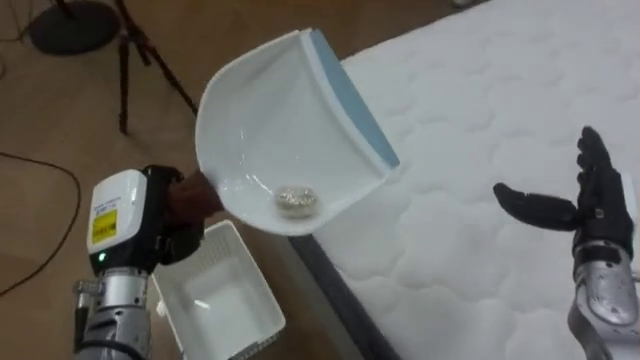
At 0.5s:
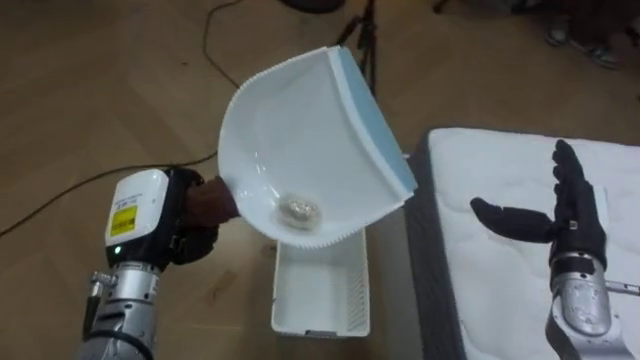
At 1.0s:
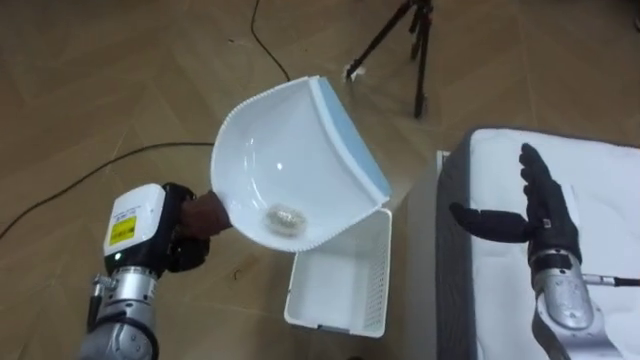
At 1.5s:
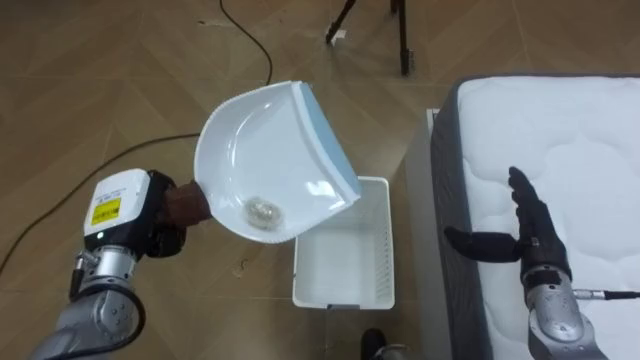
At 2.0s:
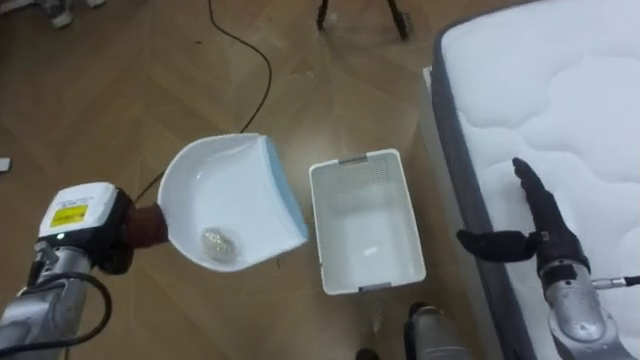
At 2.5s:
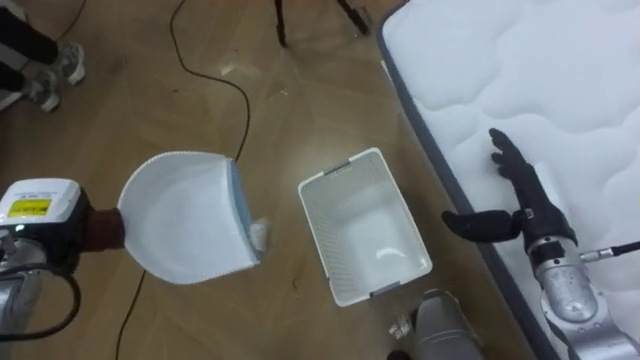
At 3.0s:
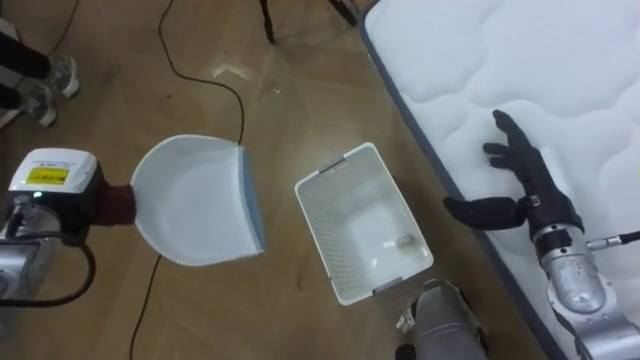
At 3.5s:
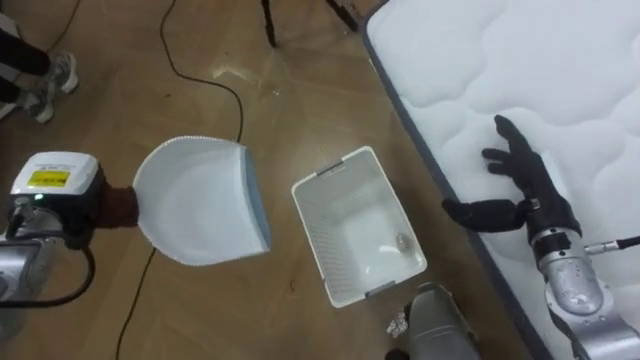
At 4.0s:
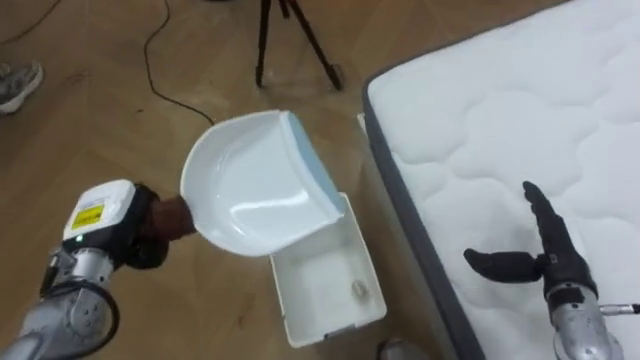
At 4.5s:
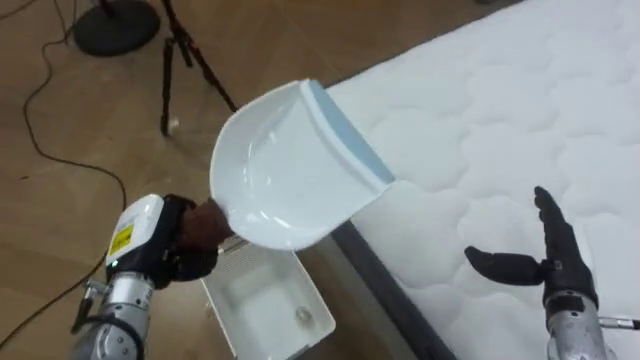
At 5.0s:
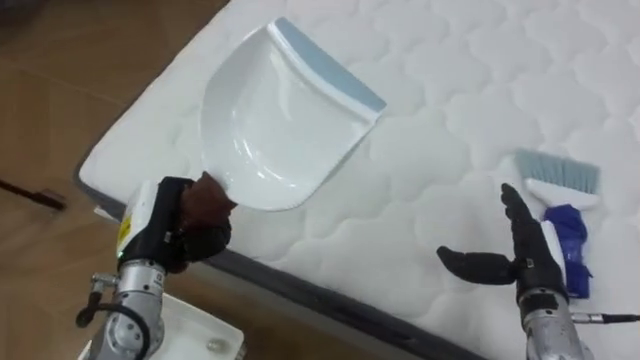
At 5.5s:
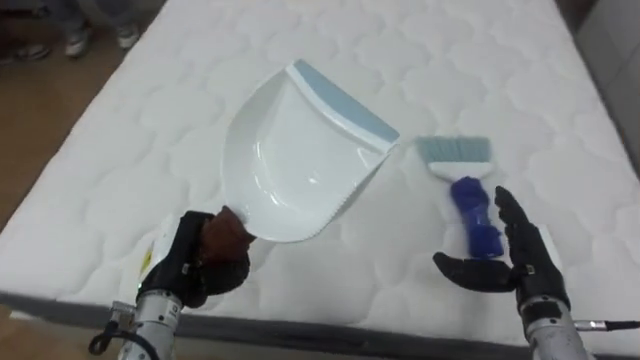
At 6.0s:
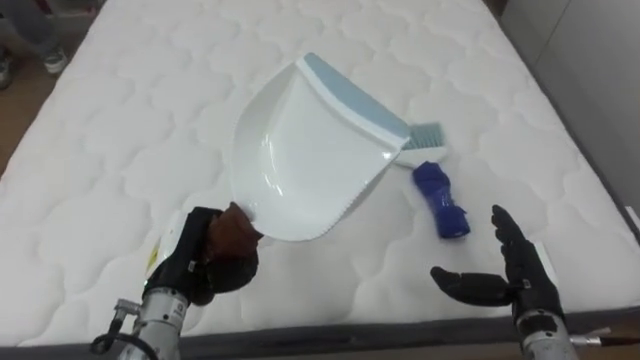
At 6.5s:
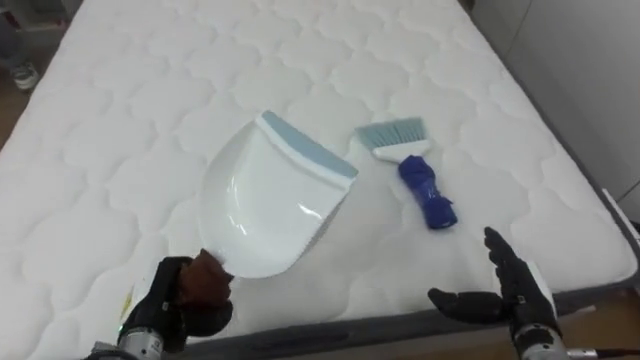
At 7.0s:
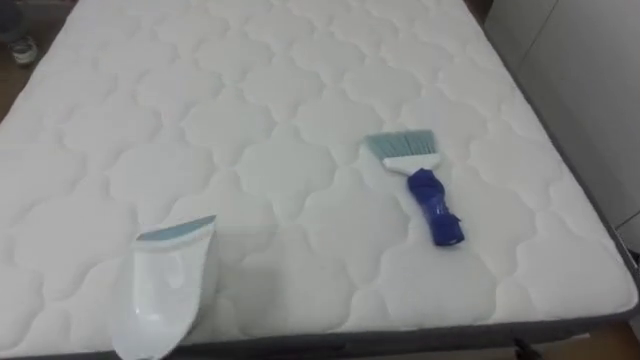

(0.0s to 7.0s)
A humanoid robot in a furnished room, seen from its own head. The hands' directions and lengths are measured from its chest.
Task of the whole recording: Pick up the brush on your right and the dustpan on your left. Use the brush to sweep the crumpled paper on the bed into the dustpan, then turn left and empty it into the basket.
0.0s - 2.0s: The robot turns to its left by about 40 degrees. The right hand moves approximately 5 cm. Meanwhile the left hand moves to the left, some 5 cm.
2.0s - 3.5s: The left hand ends up approximately 5 cm from where it was. Meanwhile the right hand ends up approximately 5 cm from where it was.
3.5s - 5.0s: The robot's body swings roughly 60 degrees to its right. The left hand shifts about 10 cm to the right, while the right hand is displaced downward and backward by some 10 cm.
5.0s - 7.0s: The robot rotates roughly 30 degrees to its right.

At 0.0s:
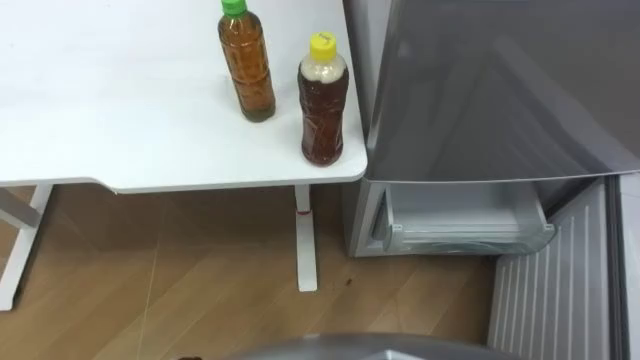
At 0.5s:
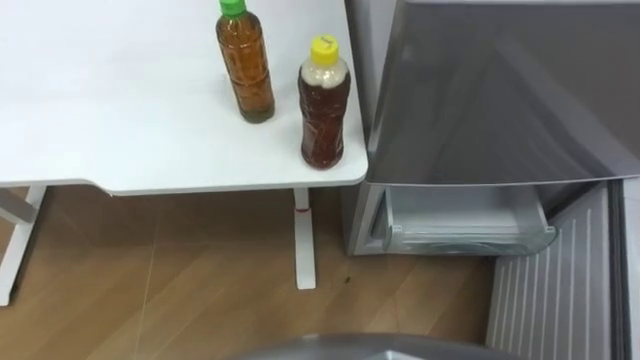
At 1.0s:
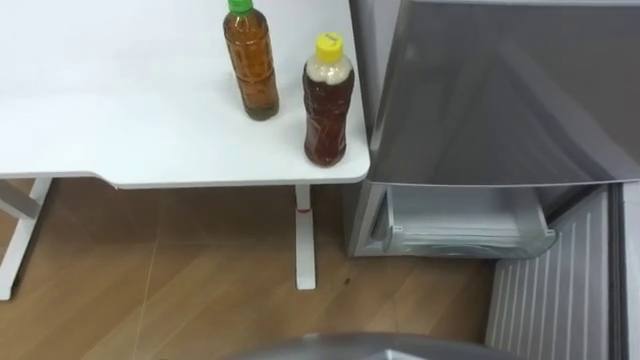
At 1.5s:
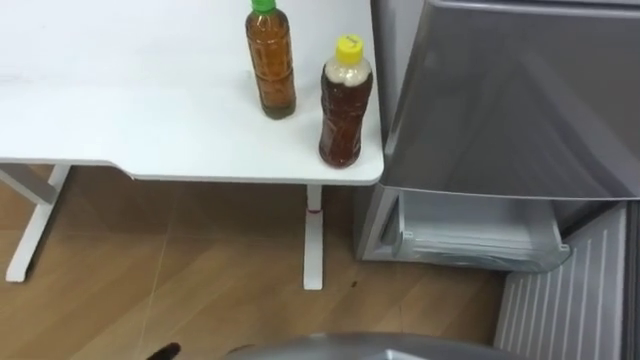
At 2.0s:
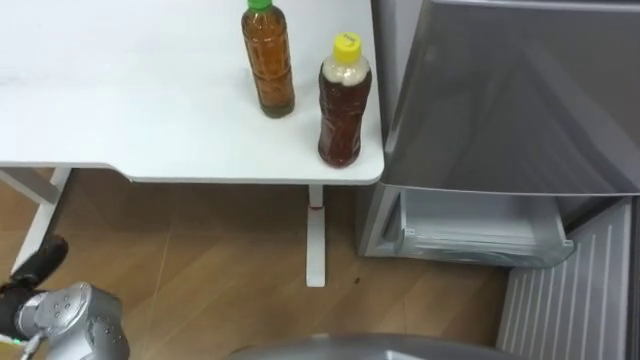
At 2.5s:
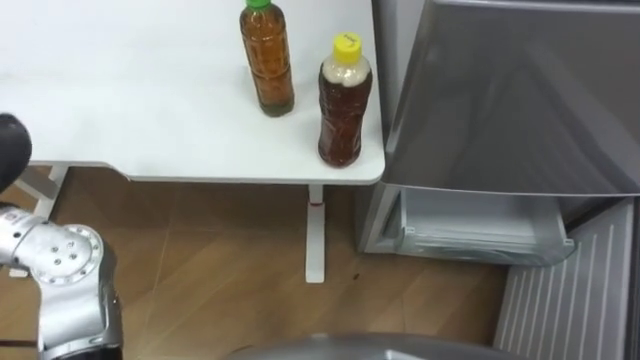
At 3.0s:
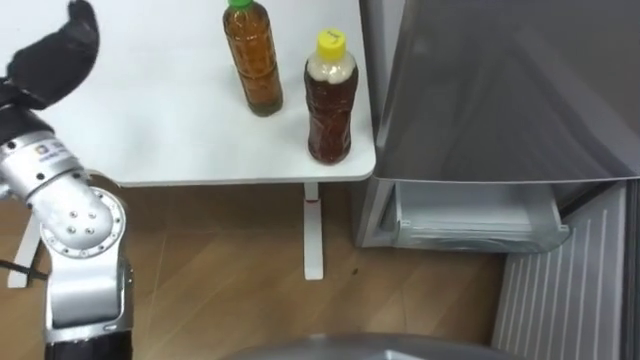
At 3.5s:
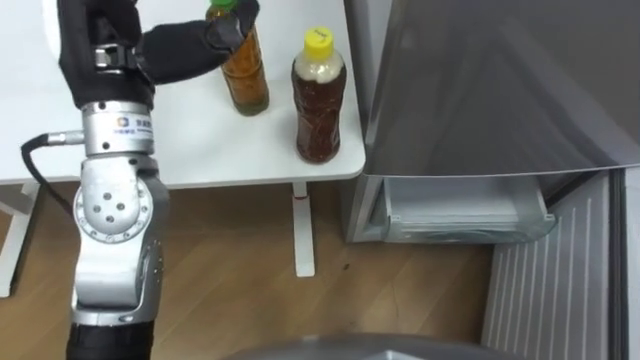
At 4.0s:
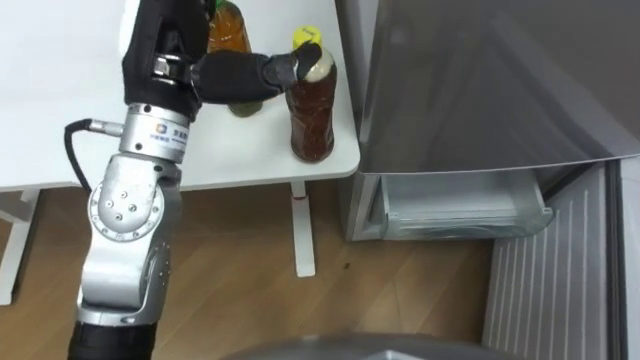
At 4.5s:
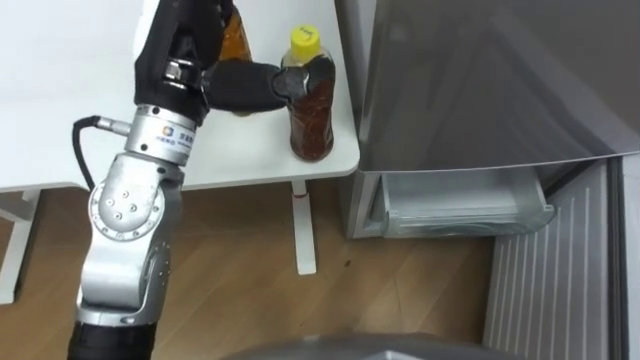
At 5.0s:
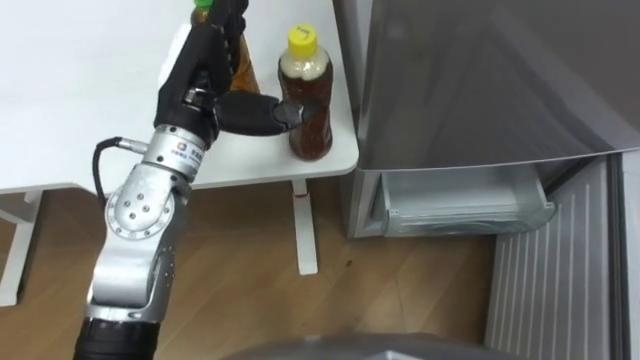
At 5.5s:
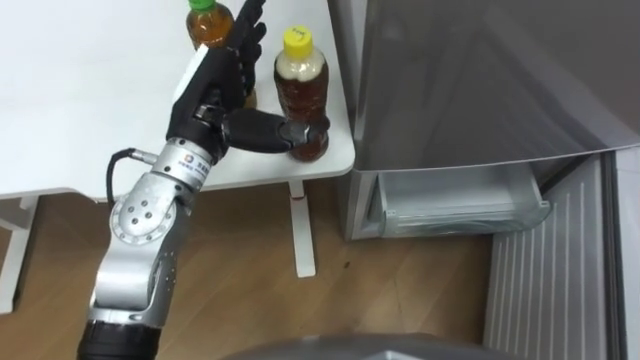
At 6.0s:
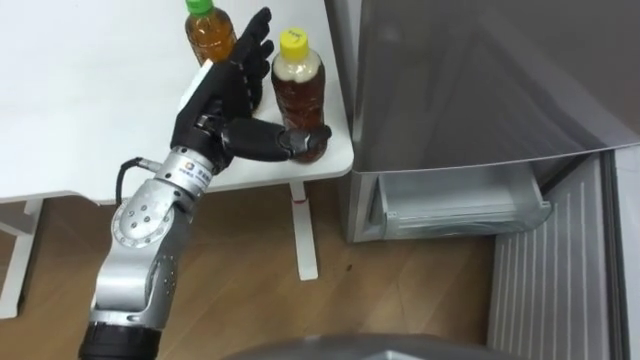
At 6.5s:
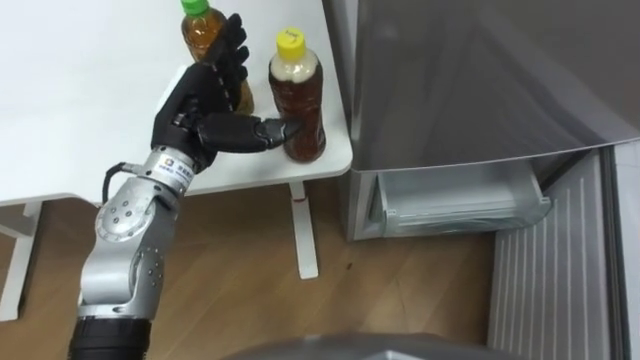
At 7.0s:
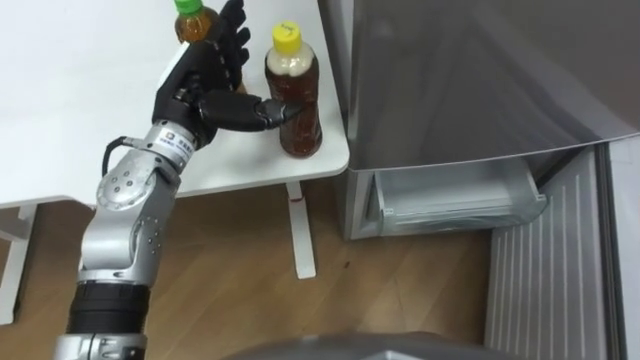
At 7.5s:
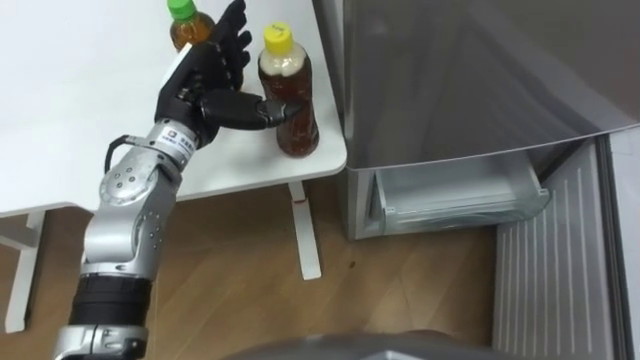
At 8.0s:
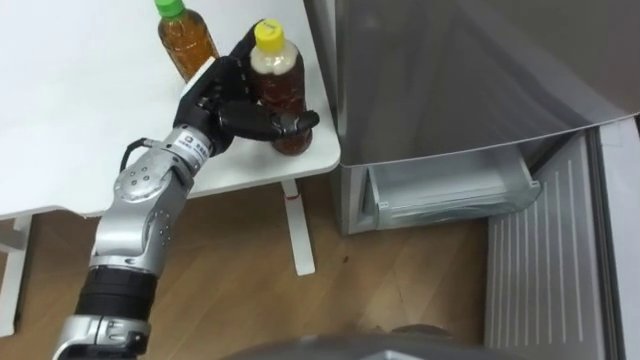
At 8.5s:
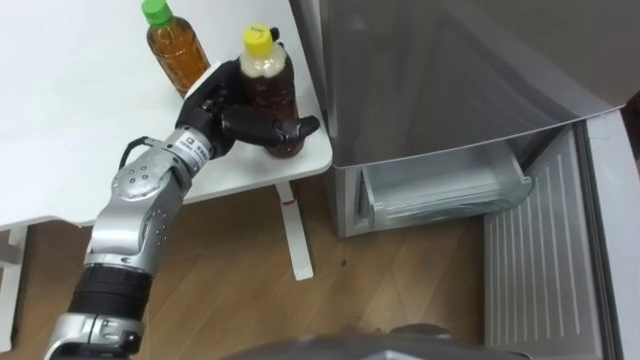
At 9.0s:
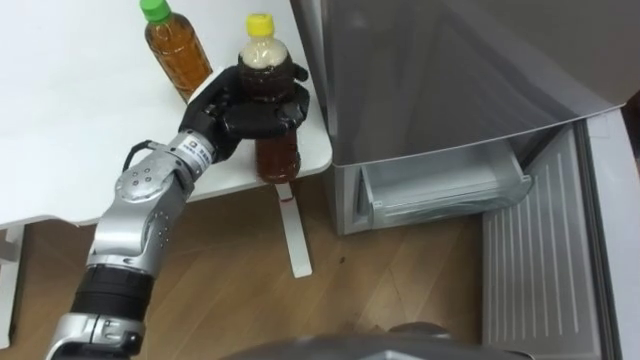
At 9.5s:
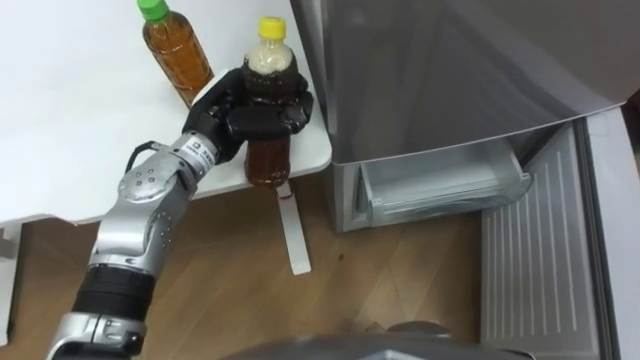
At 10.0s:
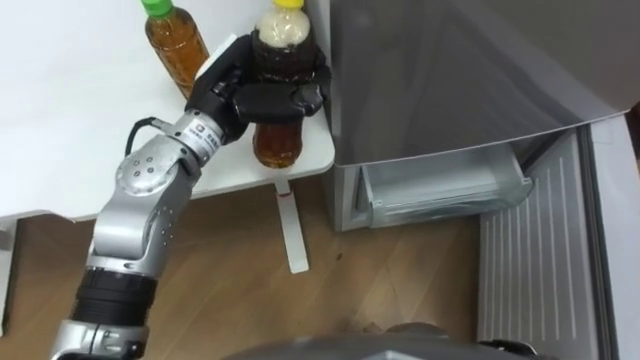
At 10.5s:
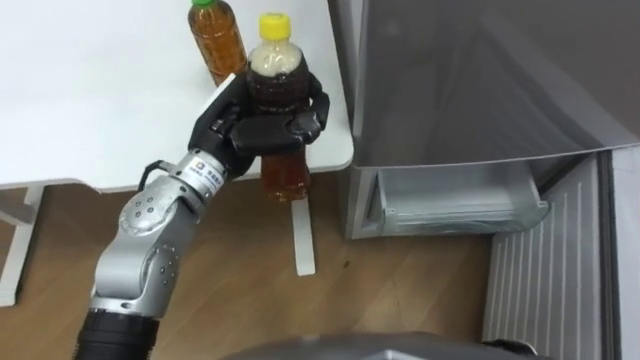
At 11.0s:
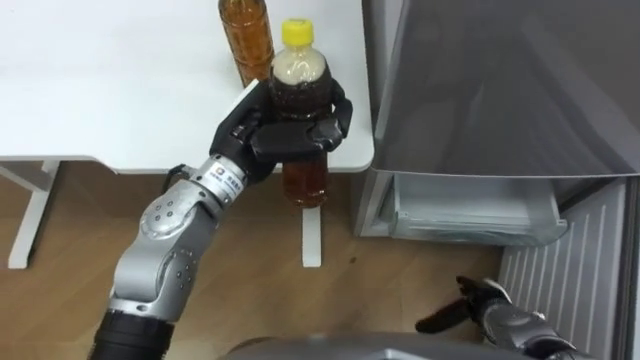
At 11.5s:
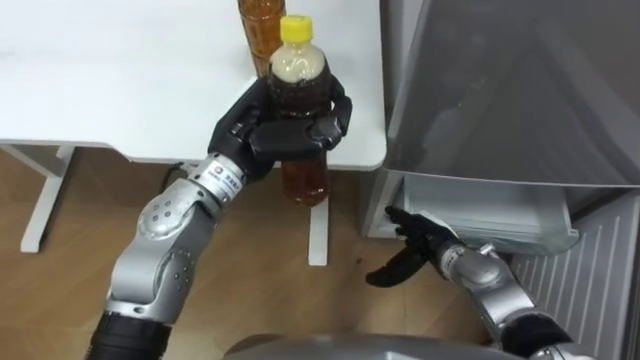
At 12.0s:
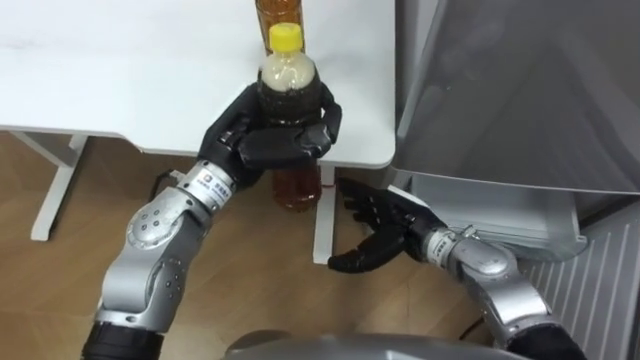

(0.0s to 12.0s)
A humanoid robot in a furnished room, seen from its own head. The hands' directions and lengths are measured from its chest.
Task of the whole recording: Place the drink on the table on the bottom shelf of the refrigerator, then close the drawer and the refrigerator door.
4.0s - 6.0s: The left hand moves downward, some 10 cm.
6.0s - 8.0s: The left hand changes place by about 5 cm.
8.0s - 10.0s: The left hand closes its fingers.
10.0s - 12.0s: The left hand moves some 5 cm.

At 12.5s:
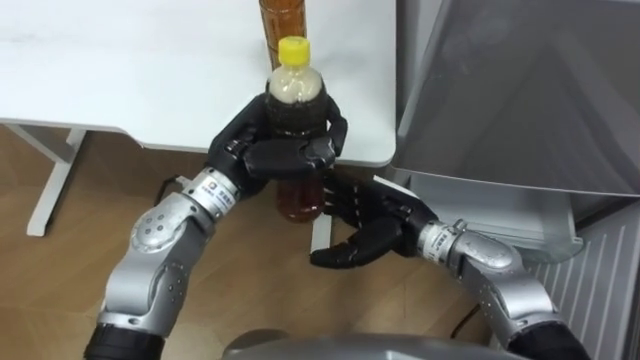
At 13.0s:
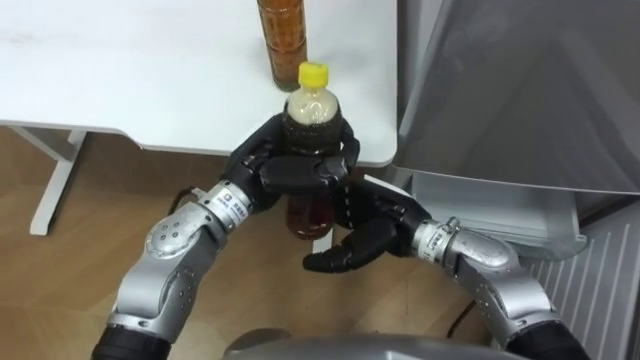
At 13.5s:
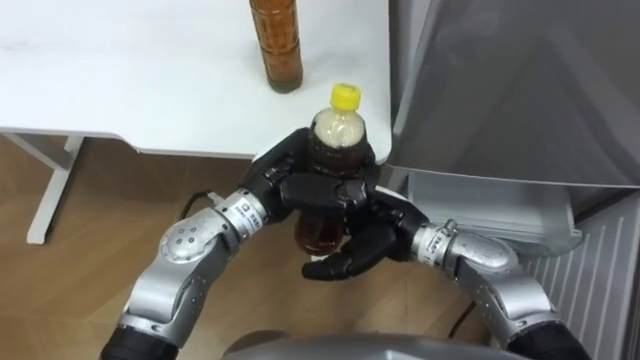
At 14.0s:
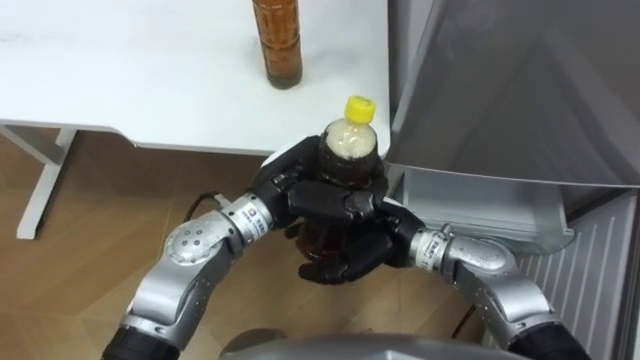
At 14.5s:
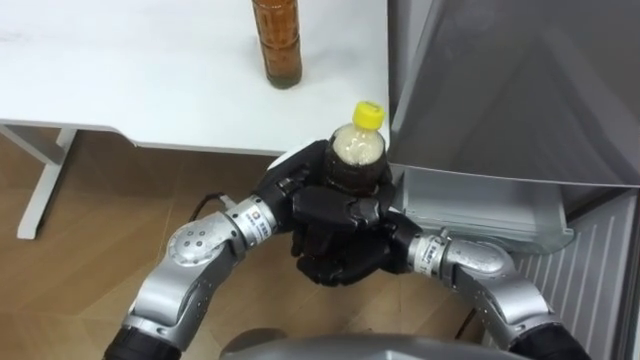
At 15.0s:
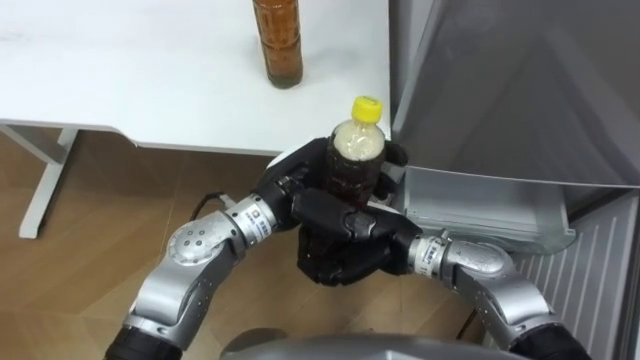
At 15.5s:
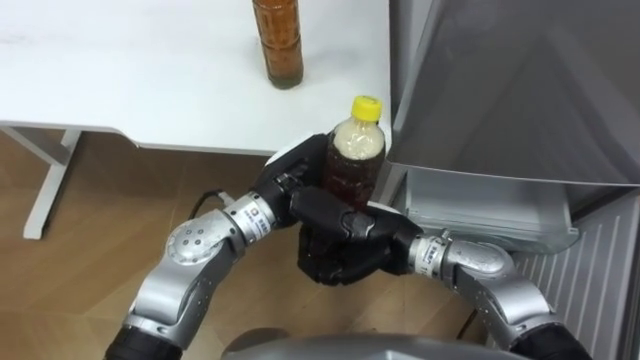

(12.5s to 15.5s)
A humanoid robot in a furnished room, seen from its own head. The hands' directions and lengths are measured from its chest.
Task of the whole recording: Place the drink on the table on the bottom shelf of the refrigerator, then close the drawer and the refrigerator door.
12.5s - 14.0s: The left hand shifts by roughly 5 cm.
14.0s - 15.5s: The right hand closes its fingers, while the left hand opens up.
